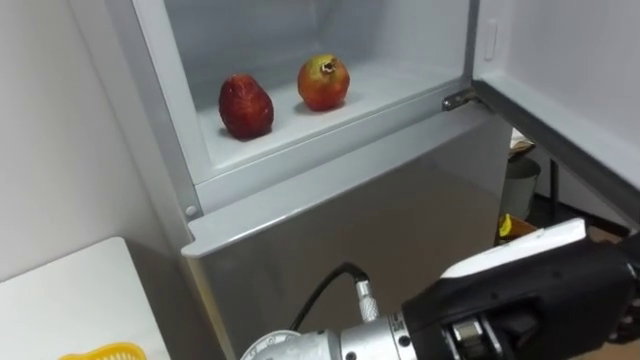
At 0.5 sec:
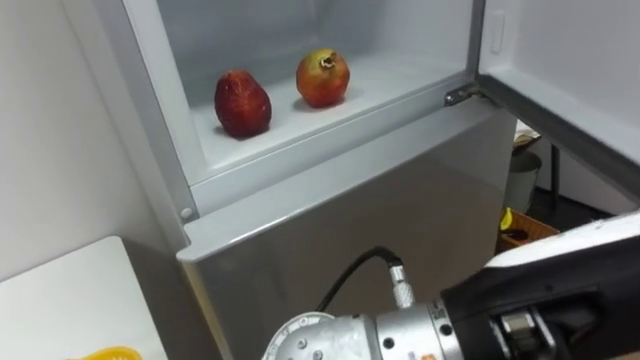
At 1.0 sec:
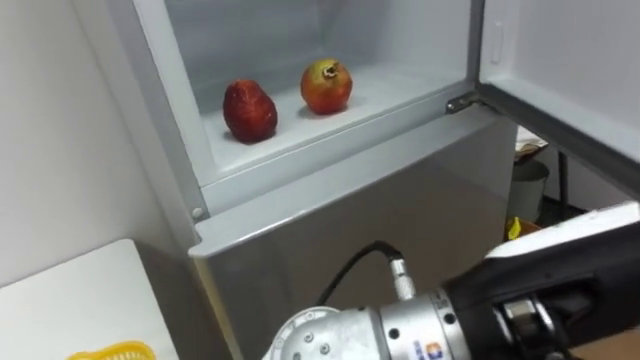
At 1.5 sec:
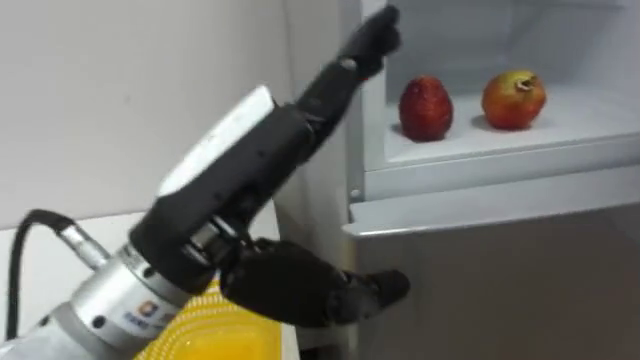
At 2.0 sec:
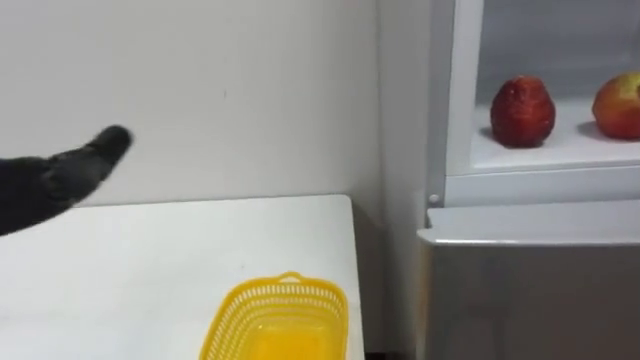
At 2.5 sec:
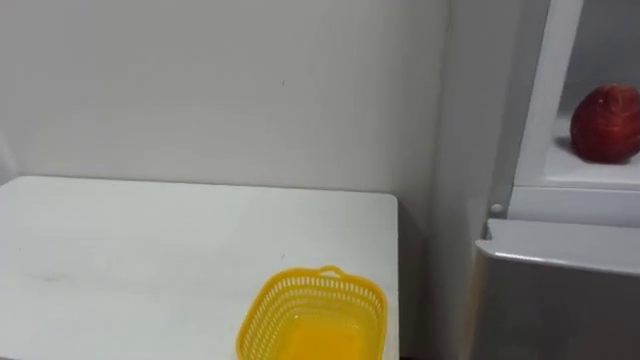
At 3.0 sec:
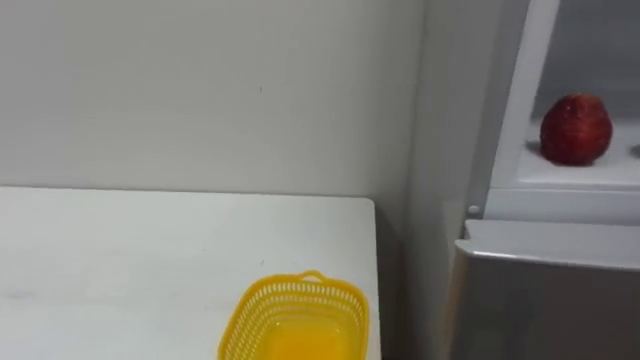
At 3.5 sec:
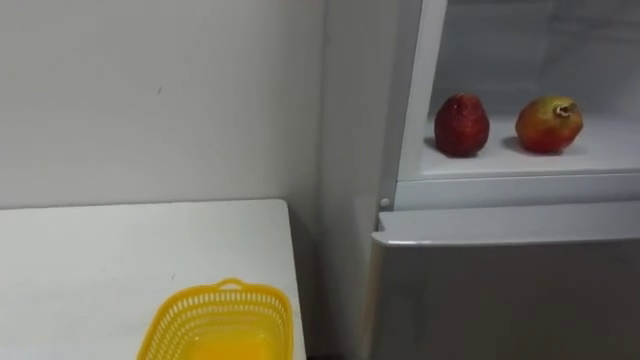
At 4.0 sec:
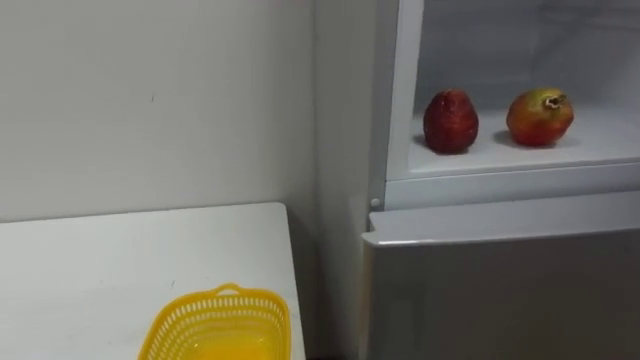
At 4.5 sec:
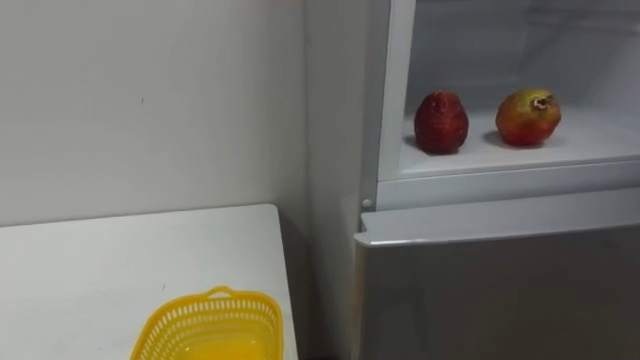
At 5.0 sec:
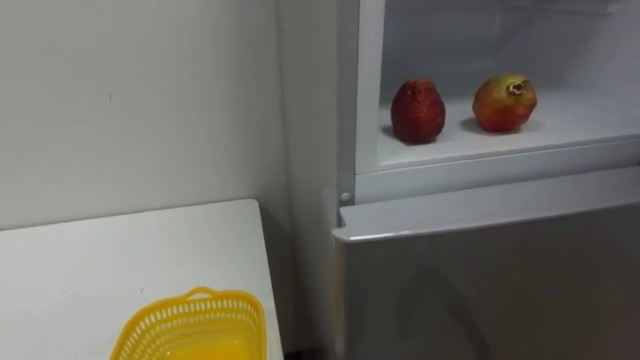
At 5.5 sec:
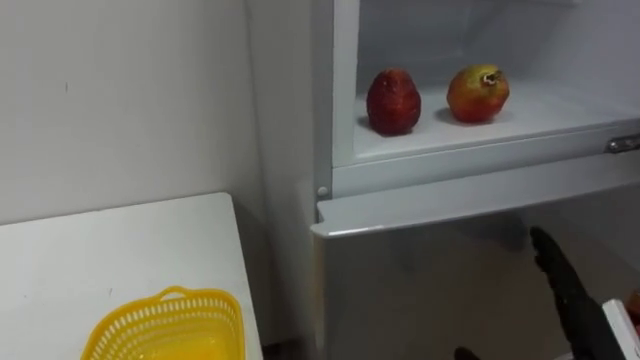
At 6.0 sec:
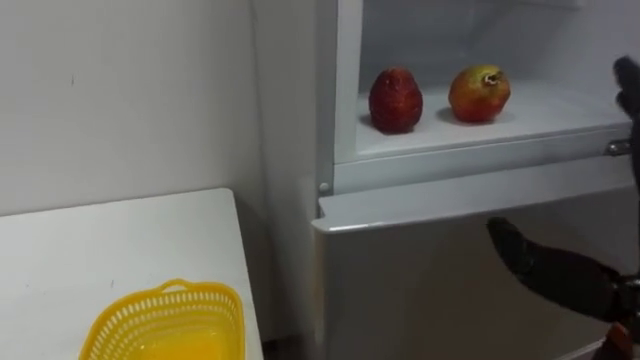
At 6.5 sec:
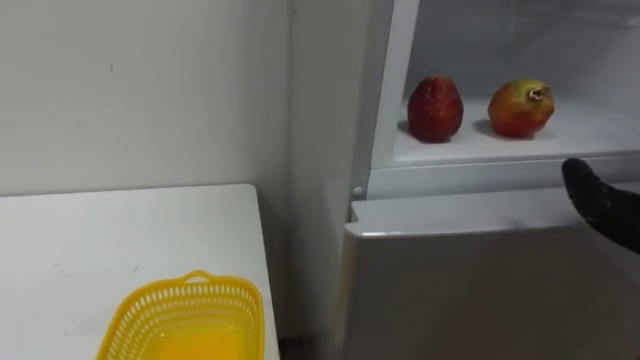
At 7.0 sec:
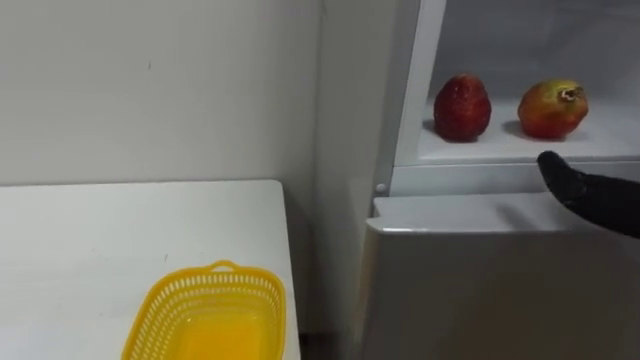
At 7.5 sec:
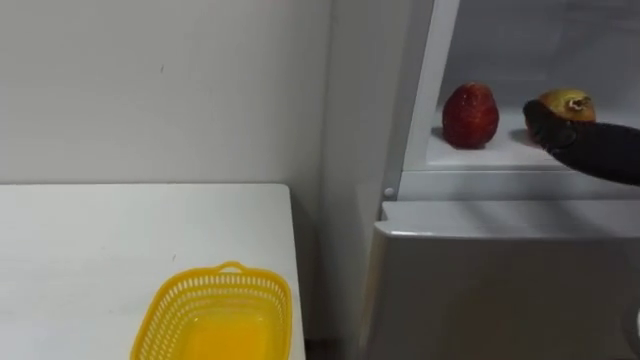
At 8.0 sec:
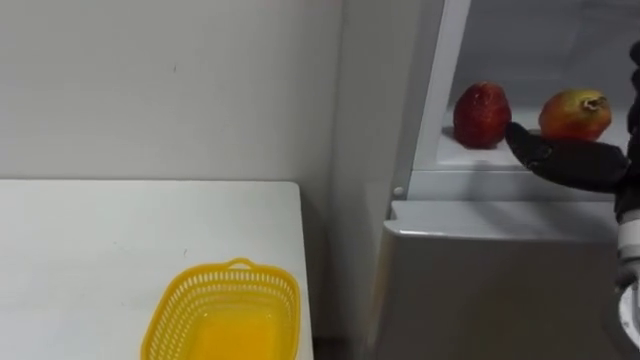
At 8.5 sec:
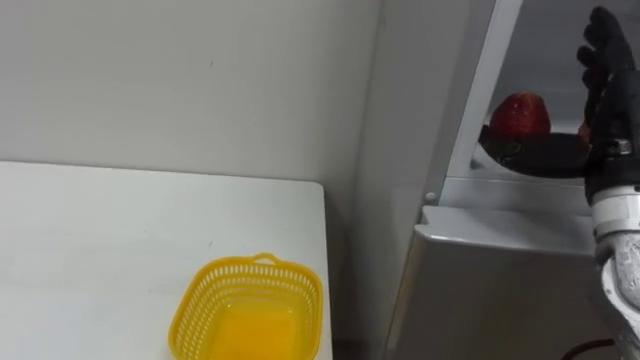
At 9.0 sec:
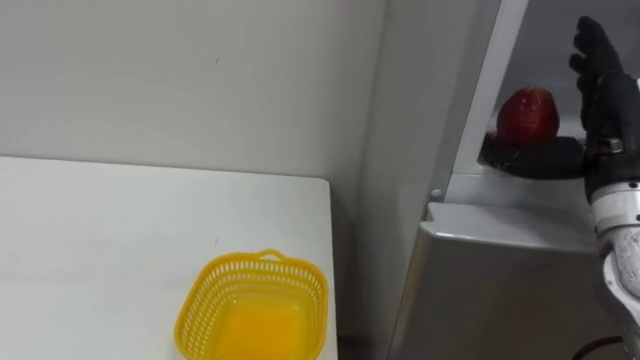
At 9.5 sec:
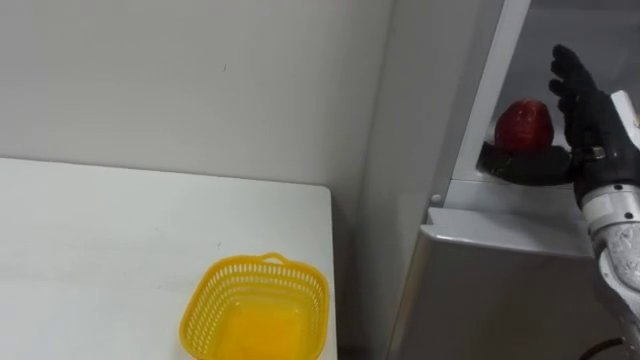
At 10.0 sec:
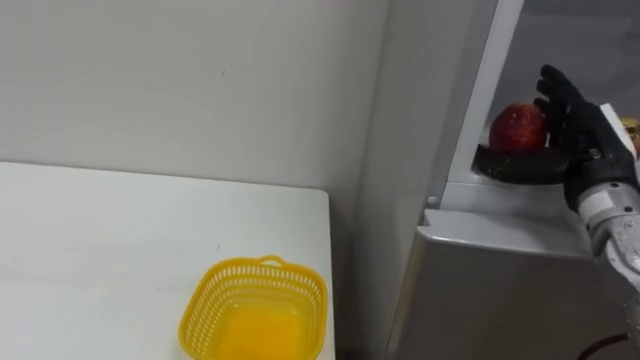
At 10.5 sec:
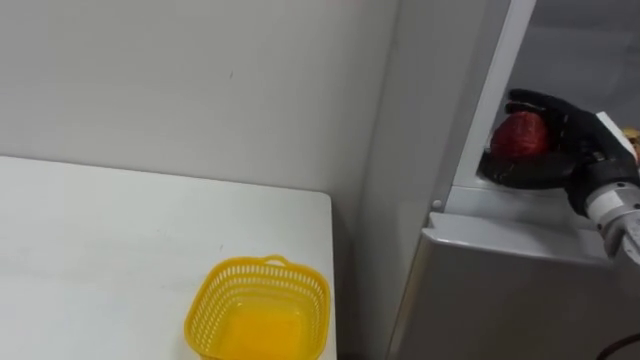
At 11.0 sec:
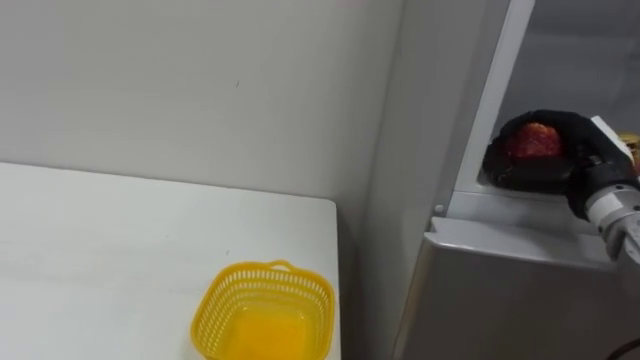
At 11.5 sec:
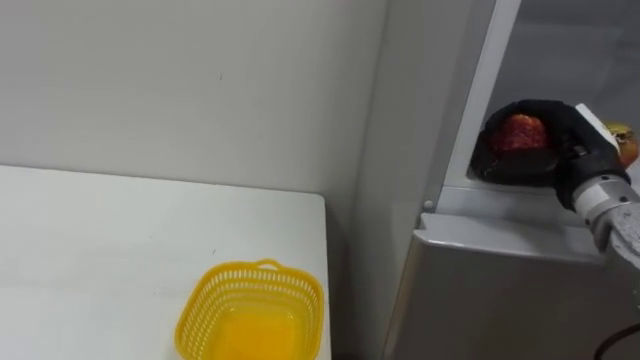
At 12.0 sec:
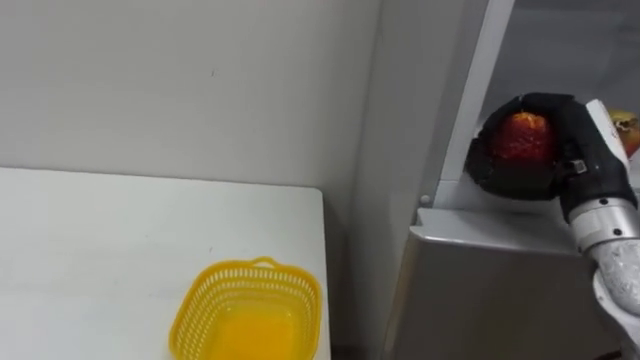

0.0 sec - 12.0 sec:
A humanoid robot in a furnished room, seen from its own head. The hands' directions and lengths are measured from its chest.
Task of the whole recording: Open the refrigerator door, take out the apple and the pomegranate, place them in the fruit basket on the left, and close the refrigerator door.
10.0 sec - 12.0 sec: The right hand closes.

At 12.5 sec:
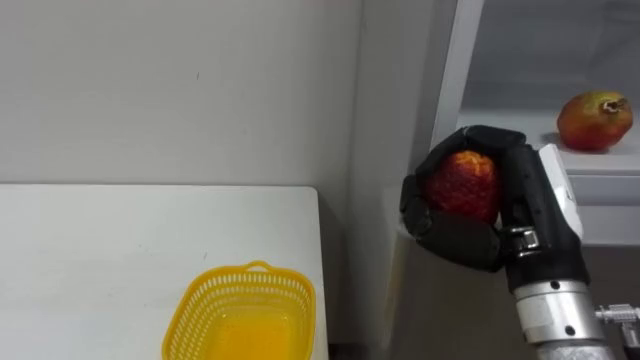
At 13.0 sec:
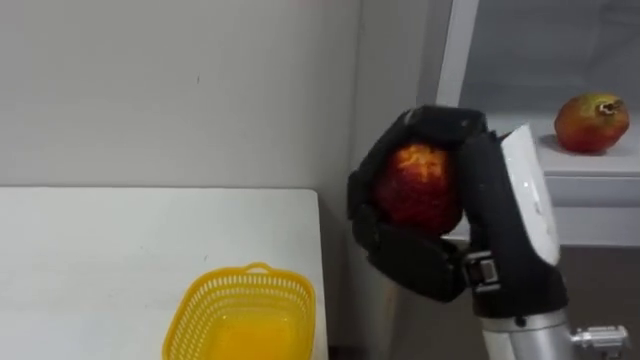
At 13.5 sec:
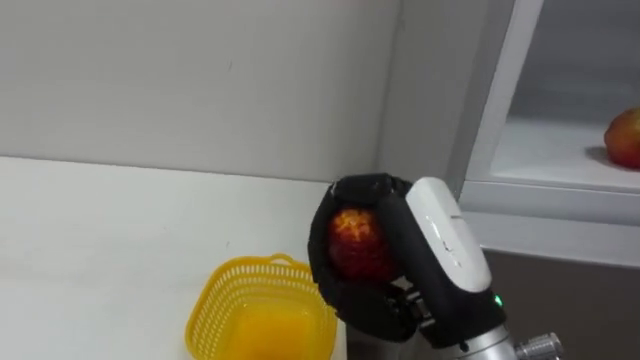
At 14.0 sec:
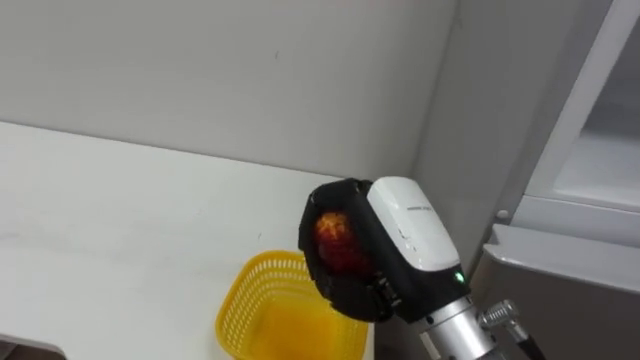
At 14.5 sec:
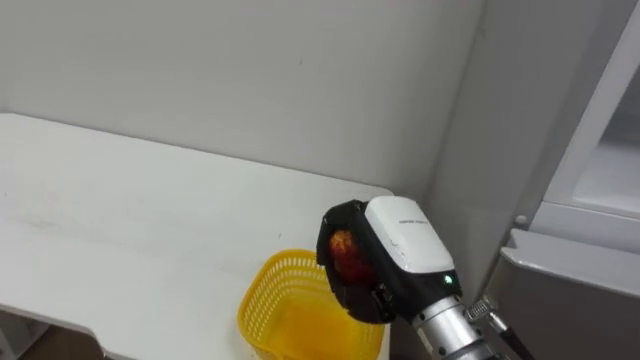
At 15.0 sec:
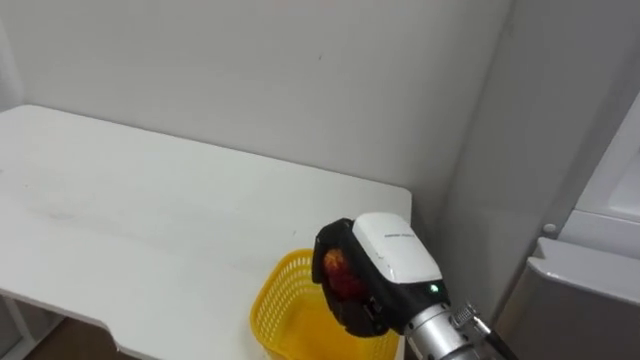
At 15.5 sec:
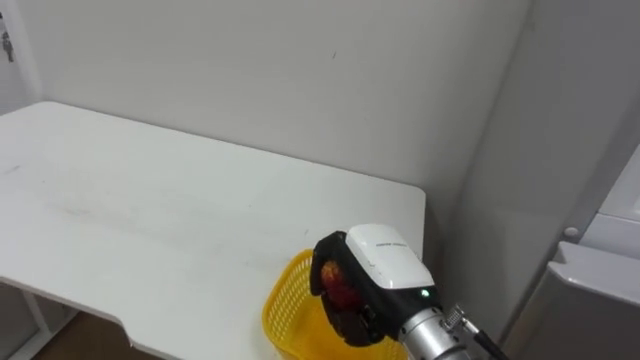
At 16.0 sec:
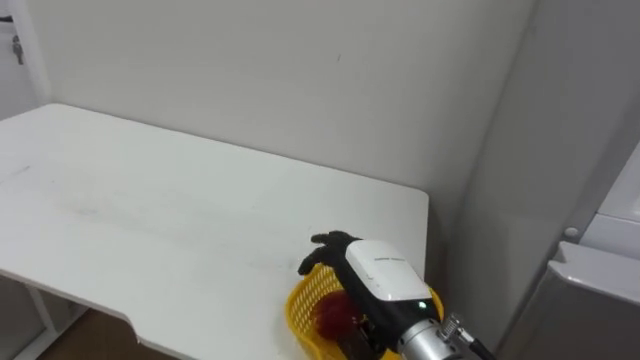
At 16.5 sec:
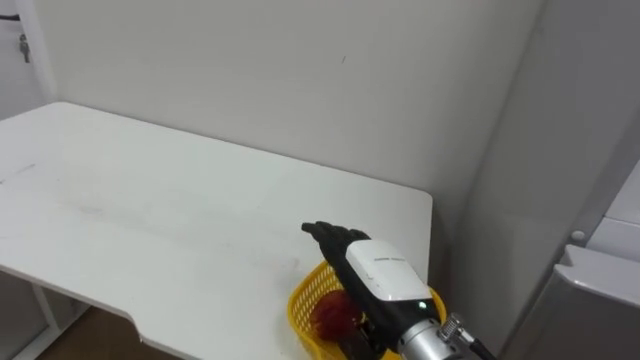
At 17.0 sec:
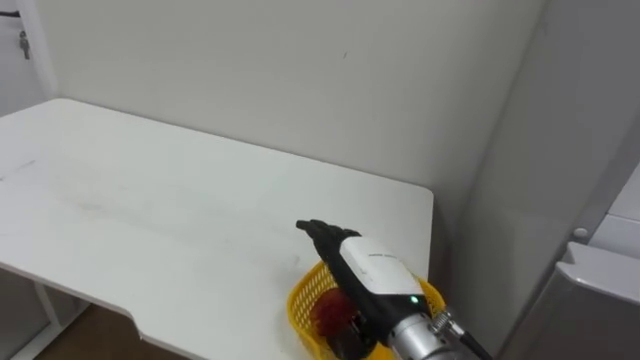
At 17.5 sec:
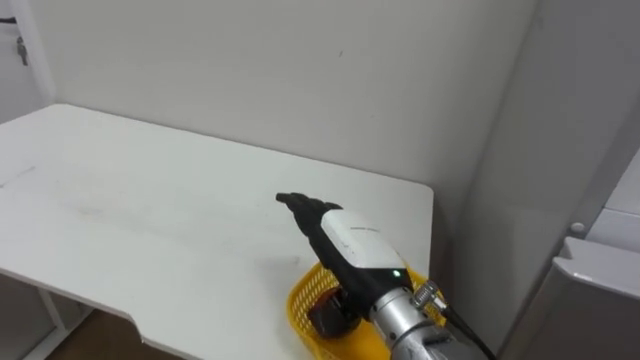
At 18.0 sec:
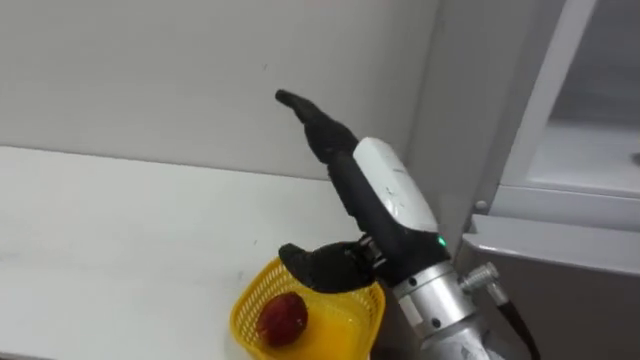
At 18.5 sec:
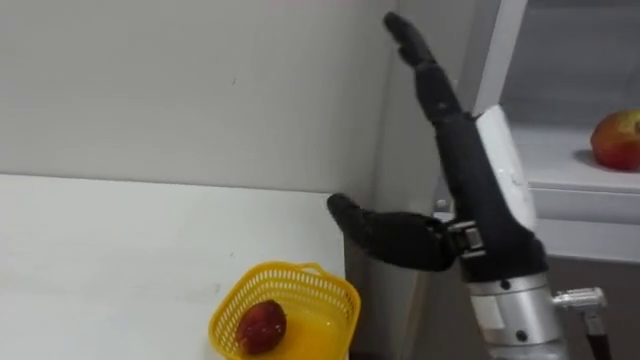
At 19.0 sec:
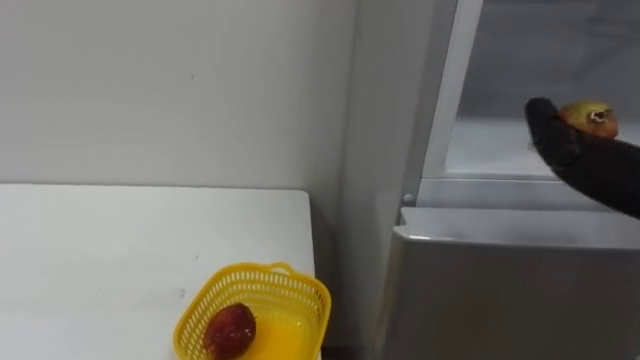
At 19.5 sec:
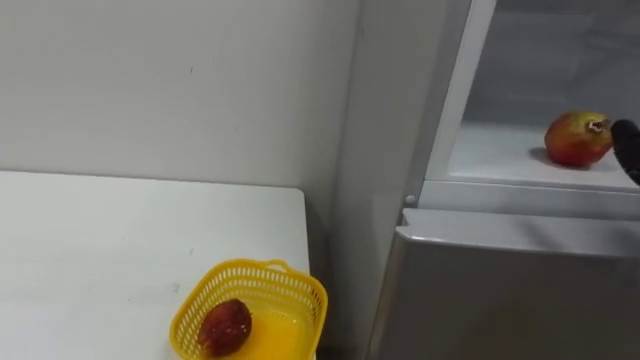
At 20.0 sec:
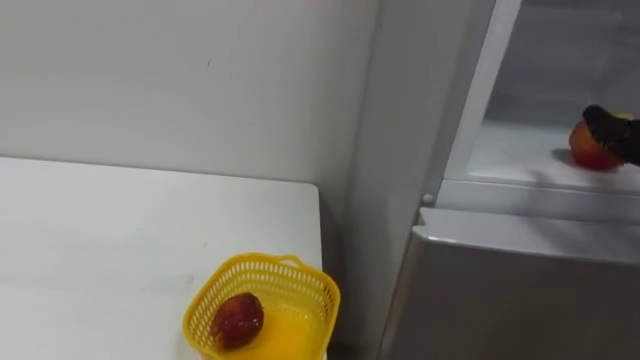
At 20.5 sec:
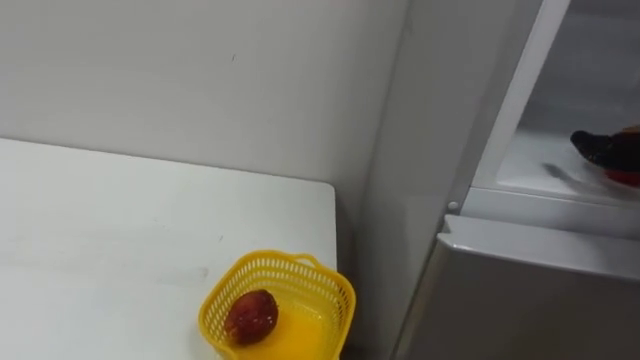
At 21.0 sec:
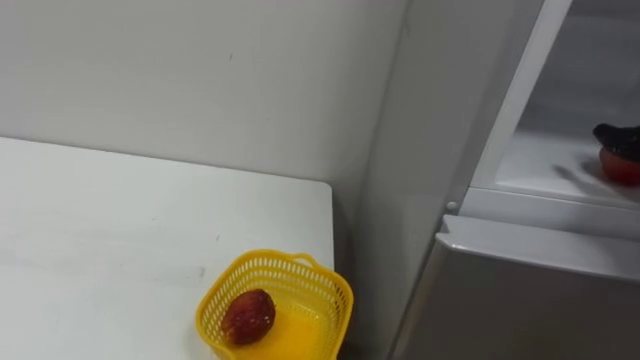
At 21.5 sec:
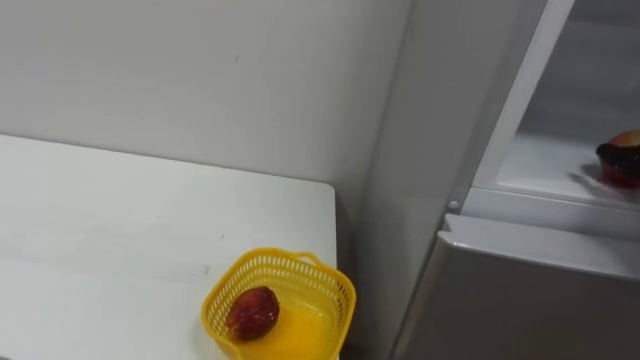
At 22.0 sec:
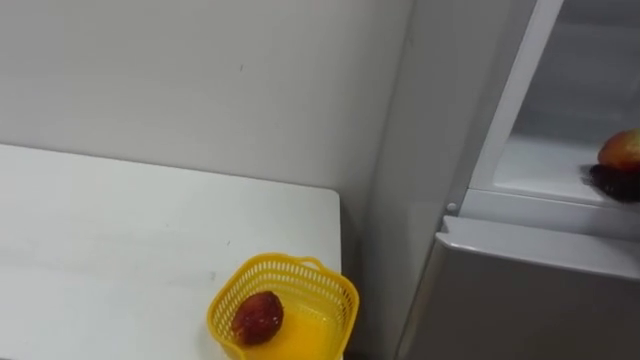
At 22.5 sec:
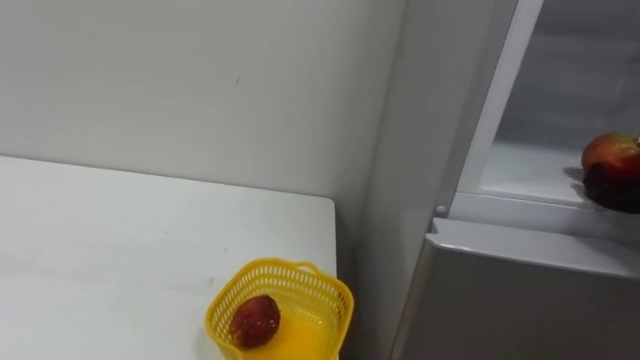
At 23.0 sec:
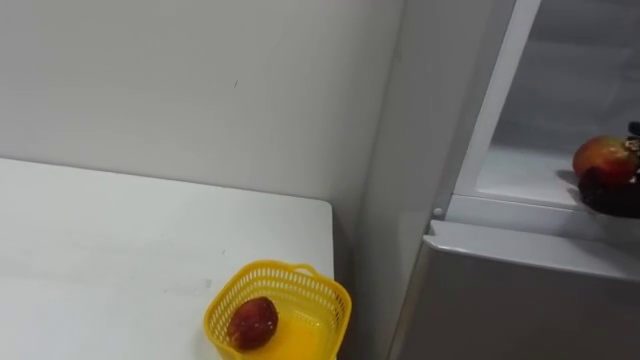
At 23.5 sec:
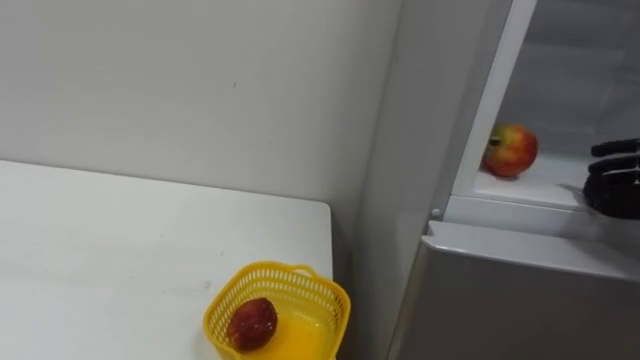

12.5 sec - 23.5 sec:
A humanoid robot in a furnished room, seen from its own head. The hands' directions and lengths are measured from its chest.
Task of the whole recording: Open the refrigerator door, take out the apple and the pomegranate, place them in the fruit basket on the left, and close the refrigerator door.
12.5 sec - 14.5 sec: The right hand moves to the left and downward, about 10 cm.
14.5 sec - 16.0 sec: The right hand goes approximately 5 cm downward, and opens.
16.0 sec - 18.0 sec: The right hand shifts roughly 15 cm upward.
